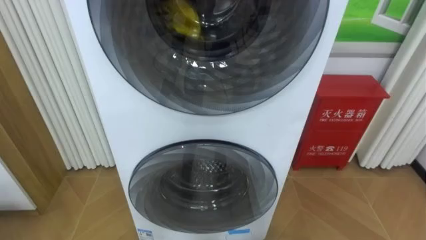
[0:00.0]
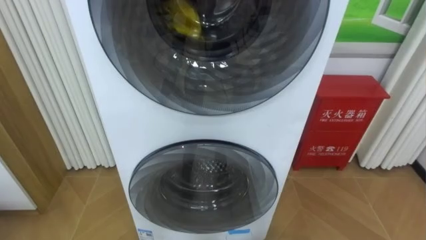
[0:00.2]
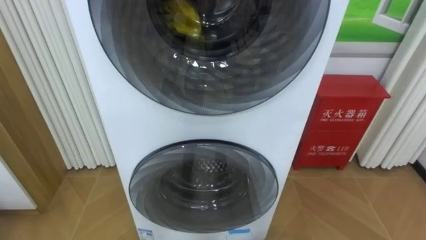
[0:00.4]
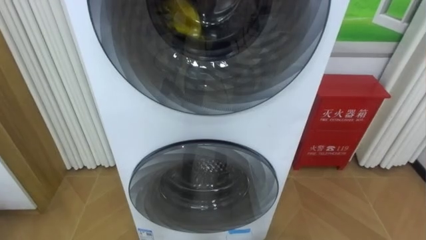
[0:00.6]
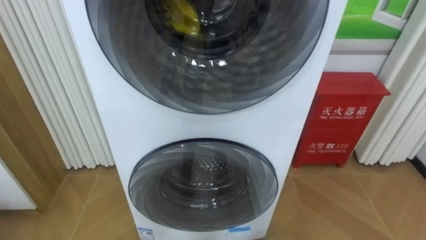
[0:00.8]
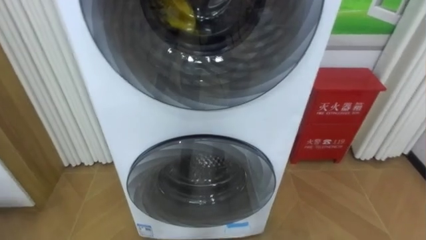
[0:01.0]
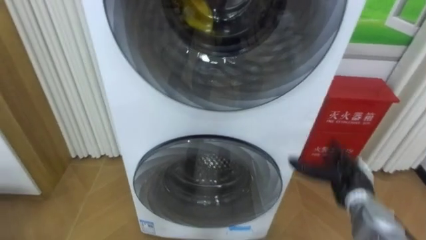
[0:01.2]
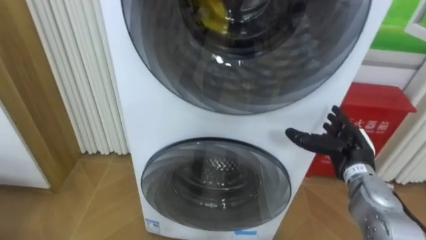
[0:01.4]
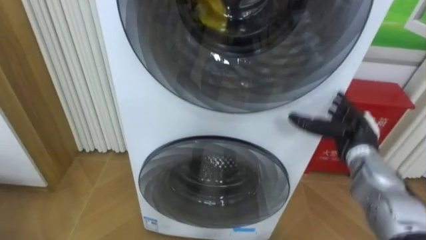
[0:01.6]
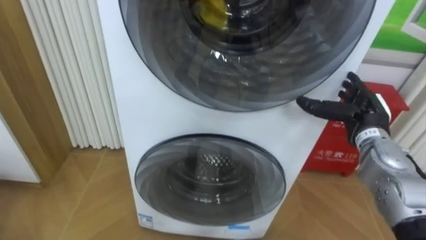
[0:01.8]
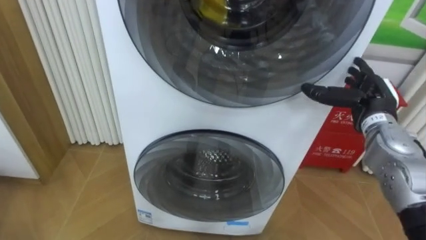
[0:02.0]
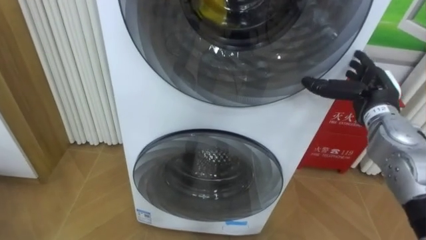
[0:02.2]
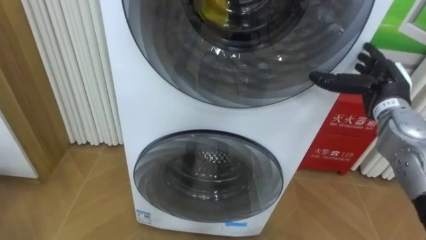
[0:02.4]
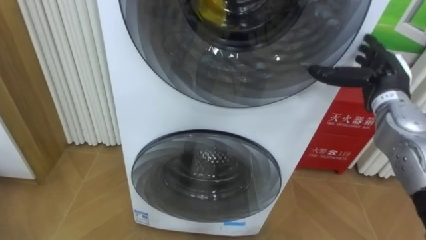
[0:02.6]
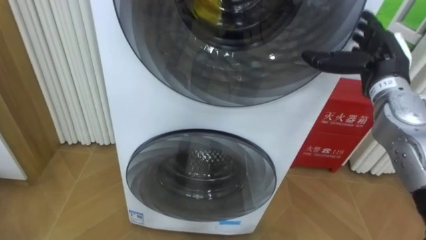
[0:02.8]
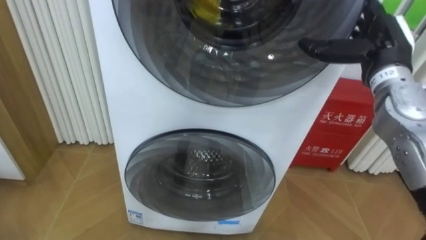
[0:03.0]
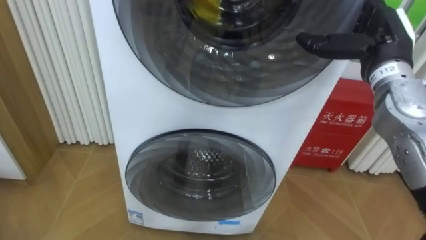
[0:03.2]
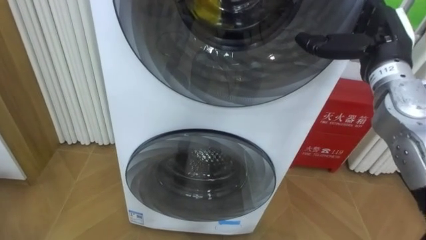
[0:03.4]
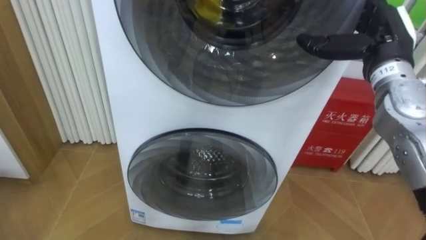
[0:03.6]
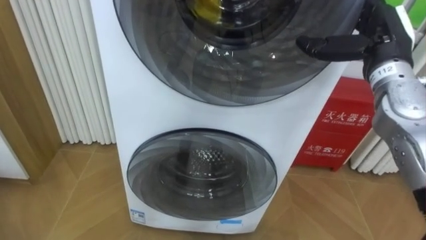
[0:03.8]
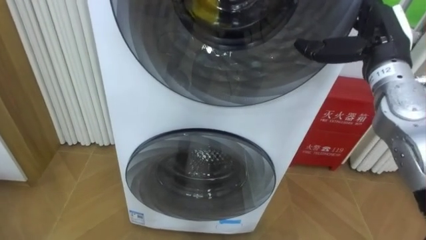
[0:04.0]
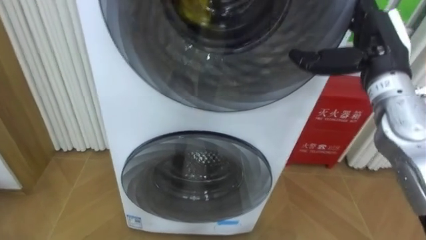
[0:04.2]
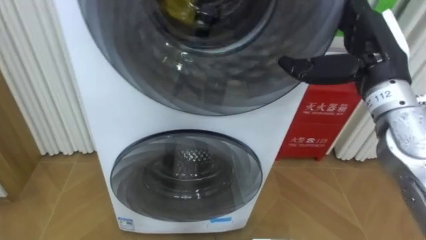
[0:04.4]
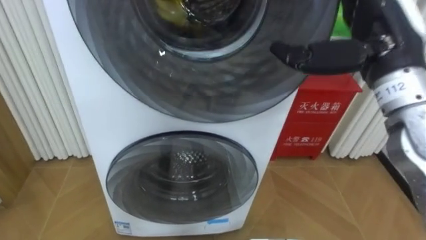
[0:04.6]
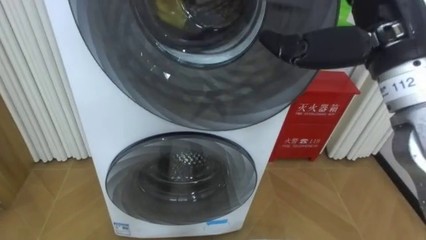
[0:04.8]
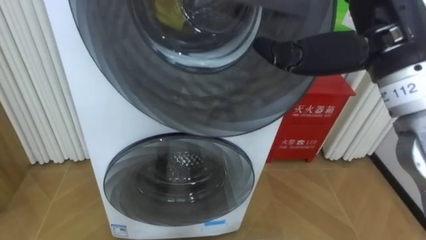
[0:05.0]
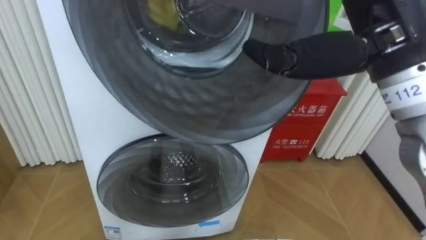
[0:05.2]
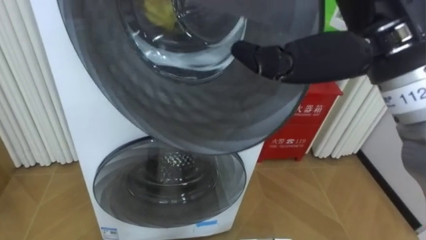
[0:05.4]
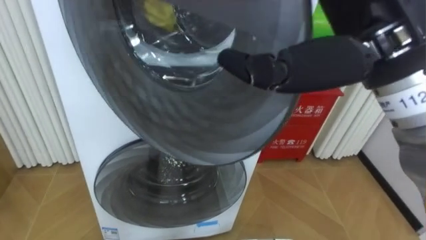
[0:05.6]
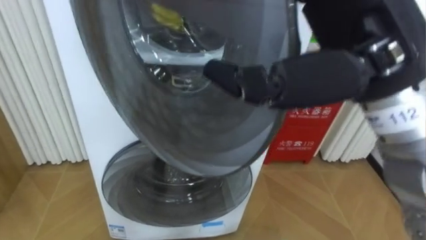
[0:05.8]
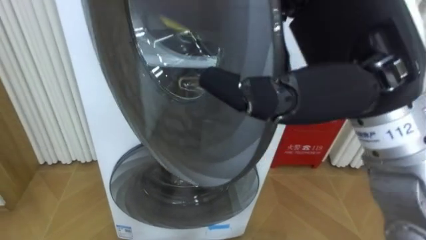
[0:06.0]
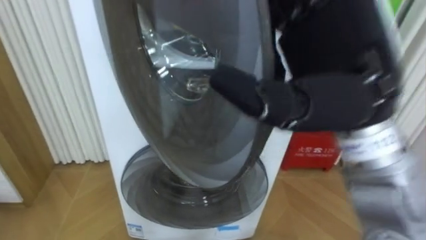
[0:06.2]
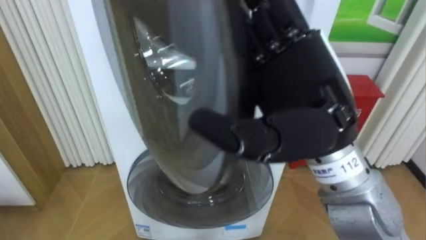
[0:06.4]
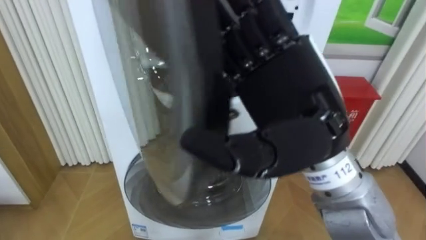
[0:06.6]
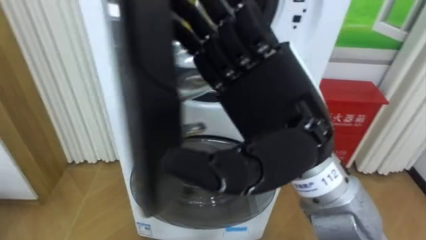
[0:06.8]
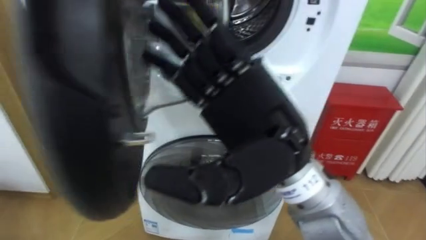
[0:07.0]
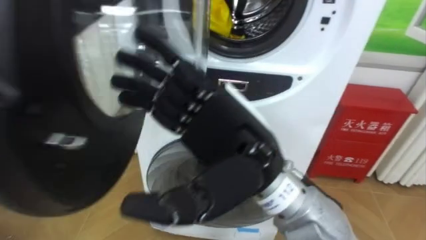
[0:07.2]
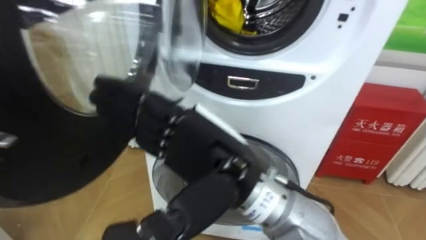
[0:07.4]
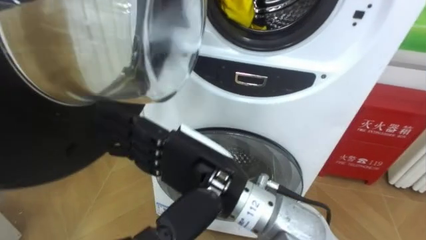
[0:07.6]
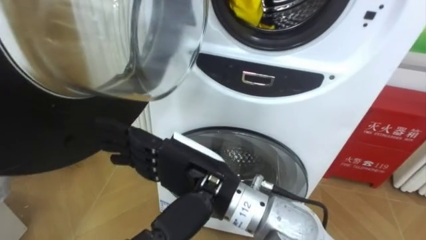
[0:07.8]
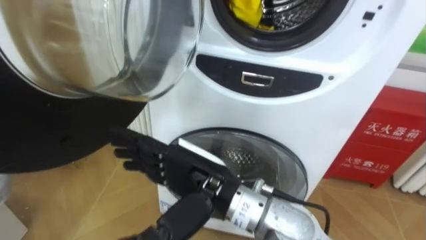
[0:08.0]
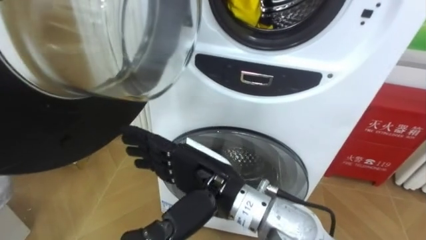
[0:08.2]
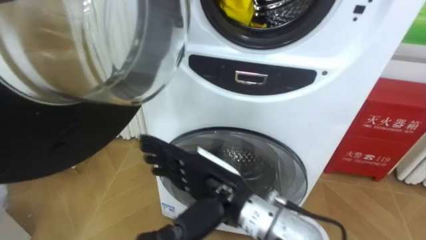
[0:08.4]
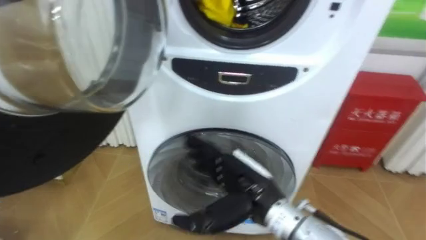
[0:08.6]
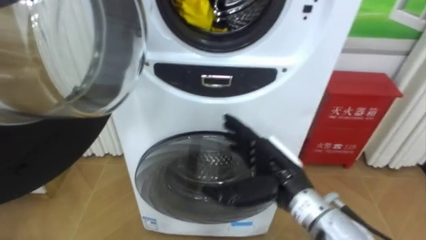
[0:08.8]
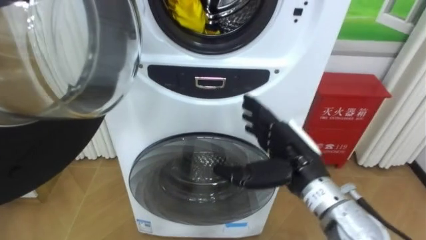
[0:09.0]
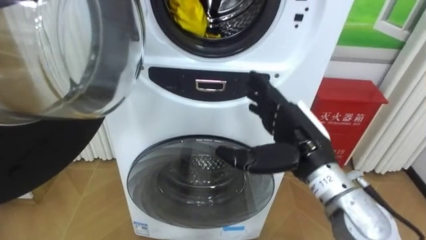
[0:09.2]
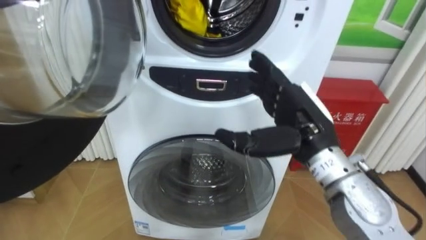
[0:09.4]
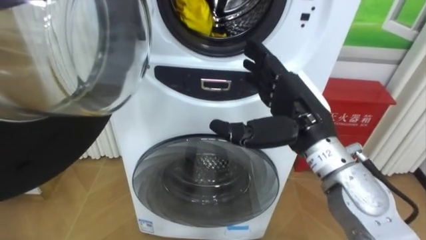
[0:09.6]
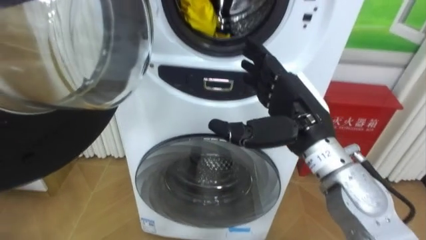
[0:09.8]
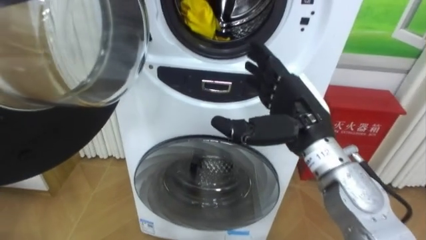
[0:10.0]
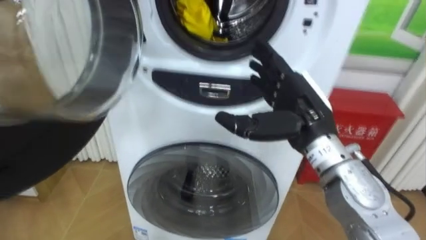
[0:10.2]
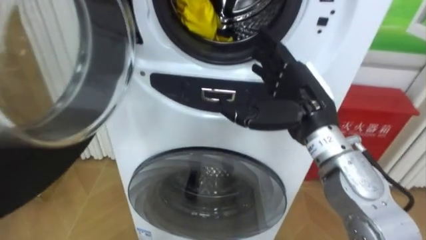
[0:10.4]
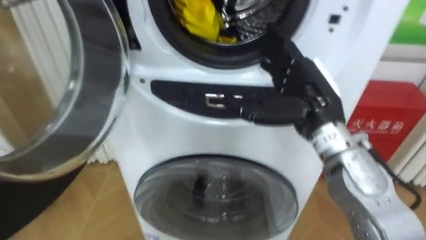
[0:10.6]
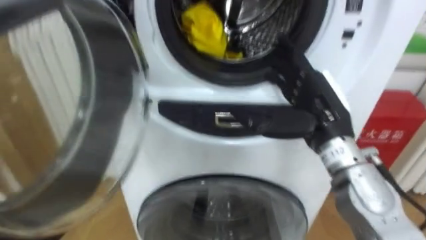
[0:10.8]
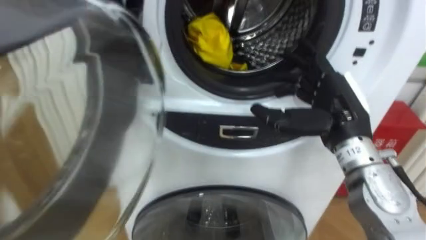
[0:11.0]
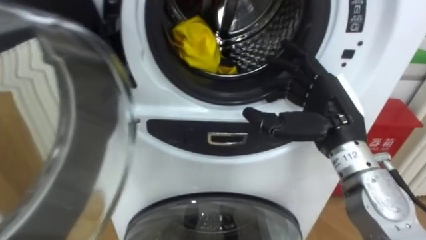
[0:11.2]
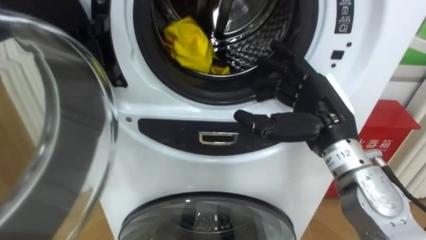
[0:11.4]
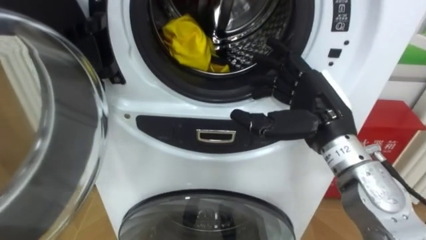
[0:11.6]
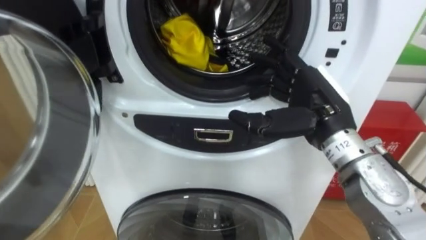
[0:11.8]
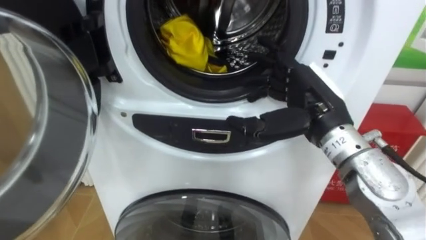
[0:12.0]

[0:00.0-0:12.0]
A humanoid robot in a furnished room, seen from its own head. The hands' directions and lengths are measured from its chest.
Task of the whole recording: Open the washing machine door, take out the yellow clothes, place them in the box on the right, and close the washing machine door.
0:01.6 to 0:03.0: The right hand moves upward, about 15 cm.
0:03.0 to 0:04.4: The right hand shifts by some 5 cm.
0:04.4 to 0:06.0: The right hand moves backward, to the left and upward, about 15 cm.
0:06.0 to 0:07.6: The right hand is displaced downward and to the left by approximately 20 cm.
0:07.6 to 0:09.0: The right hand shifts roughly 15 cm to the right, forward and downward.
0:09.0 to 0:10.4: The right hand travels upward by about 10 cm.

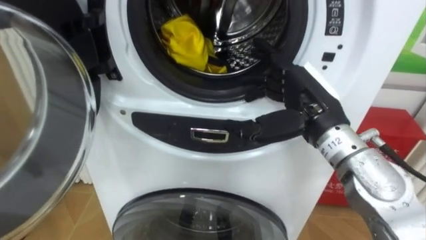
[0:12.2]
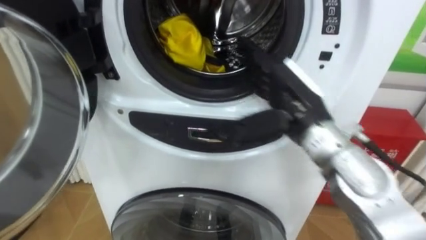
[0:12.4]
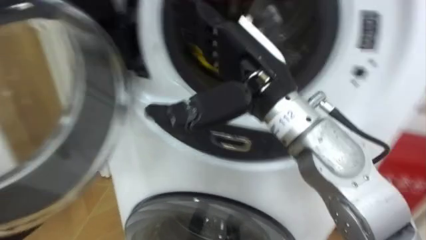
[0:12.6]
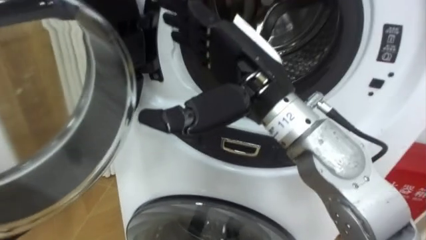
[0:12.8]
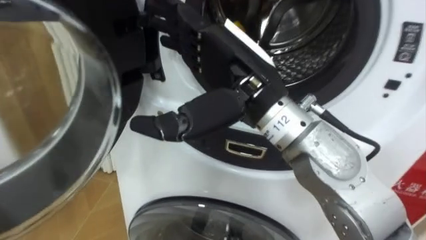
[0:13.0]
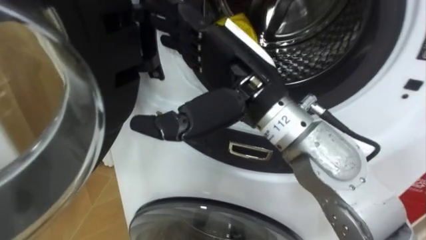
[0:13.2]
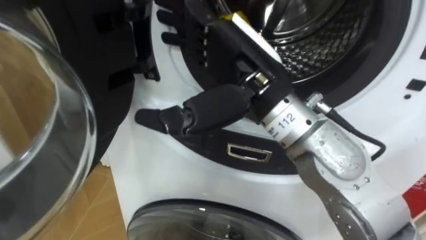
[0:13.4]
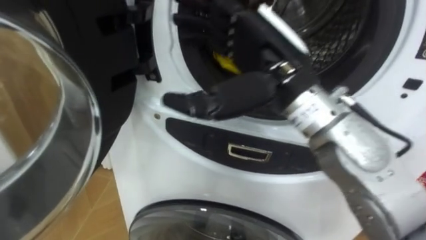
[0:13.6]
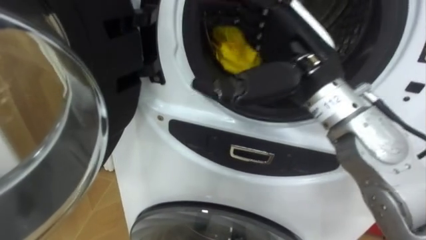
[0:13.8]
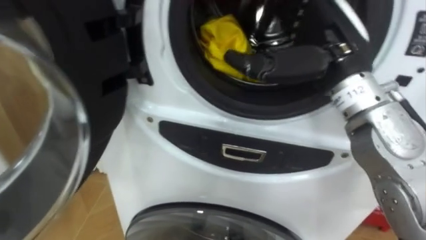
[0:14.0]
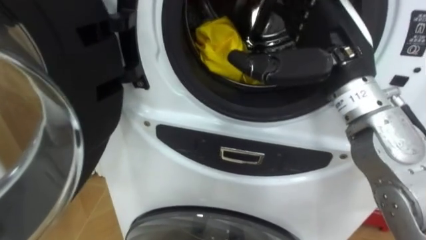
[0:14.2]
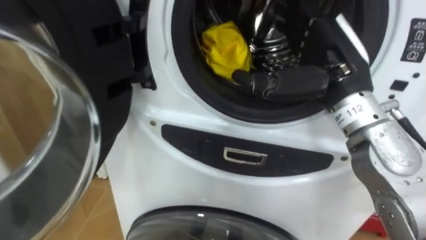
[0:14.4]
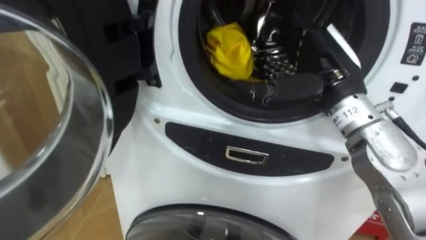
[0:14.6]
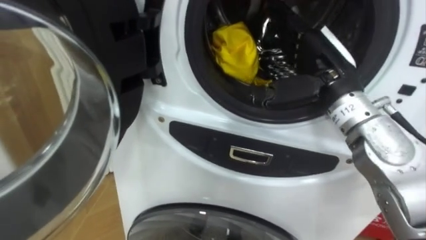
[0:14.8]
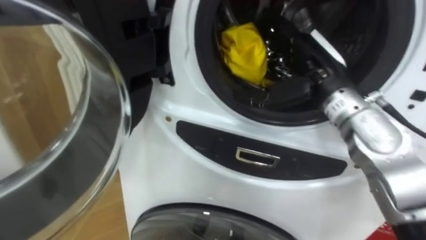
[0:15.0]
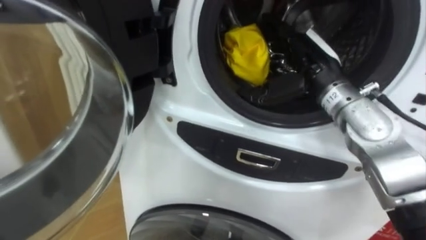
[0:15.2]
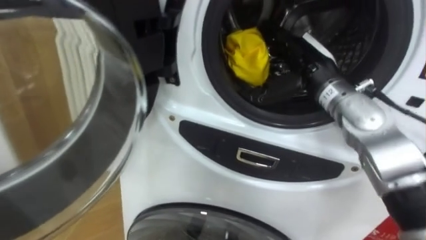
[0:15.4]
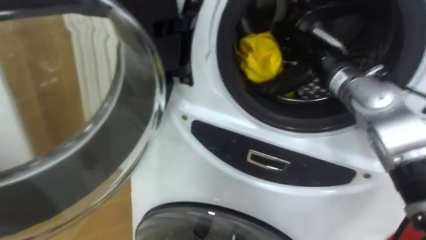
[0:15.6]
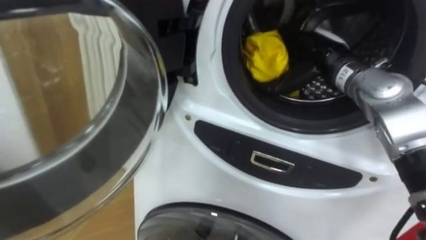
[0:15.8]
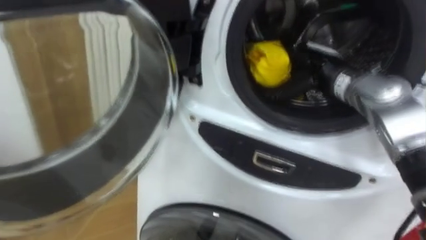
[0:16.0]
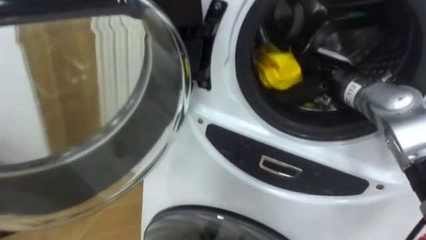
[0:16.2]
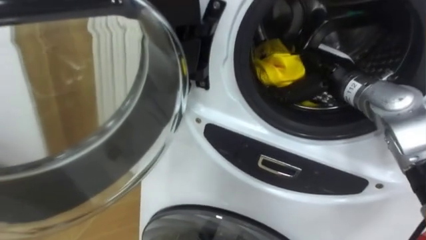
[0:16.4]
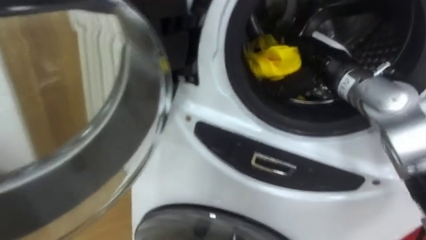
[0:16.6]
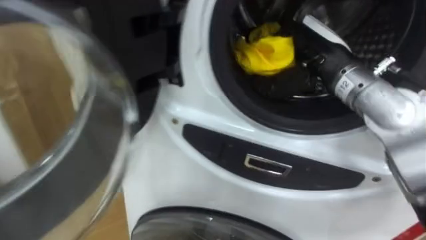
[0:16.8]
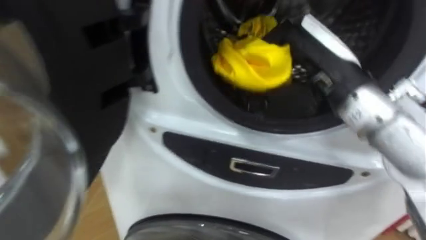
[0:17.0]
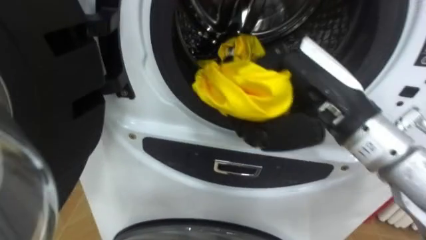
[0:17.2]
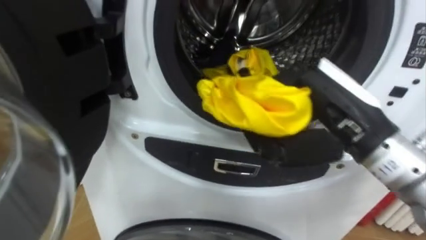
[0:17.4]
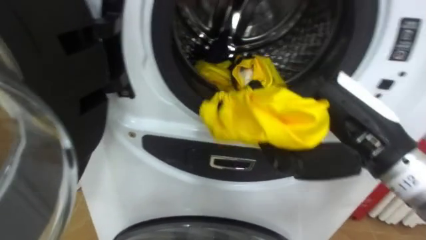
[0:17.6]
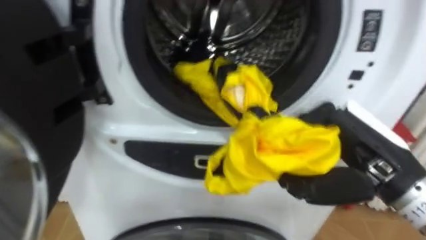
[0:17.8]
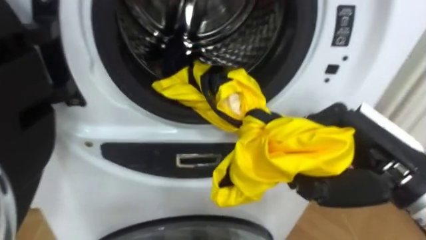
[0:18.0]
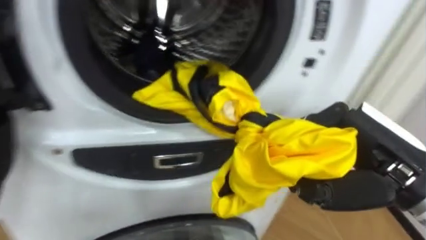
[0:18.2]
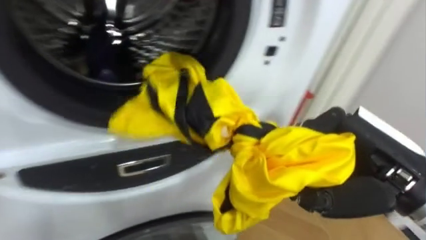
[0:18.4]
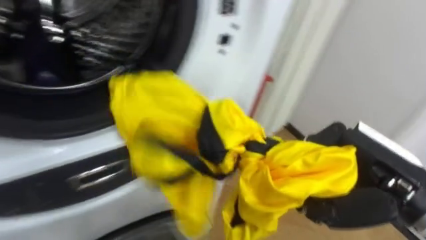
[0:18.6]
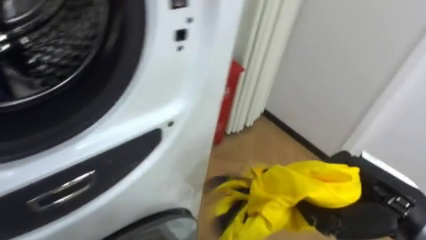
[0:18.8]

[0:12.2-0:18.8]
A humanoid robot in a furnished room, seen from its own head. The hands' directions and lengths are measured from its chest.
Task of the whole recording: Open the washing machine door, take out the yellow clothes, place them in the box on the right, and close the washing machine door.
0:12.2 to 0:13.8: The right hand moves upward, approximately 10 cm, and goes to the left and returns, about 10 cm each way.
0:13.8 to 0:15.4: The right hand is displaced forward, downward and to the right by approximately 15 cm.
0:15.4 to 0:17.2: The right hand heads backward, covering approximately 15 cm, and closes.
0:17.2 to 0:18.8: The right hand goes some 15 cm downward and to the right.
